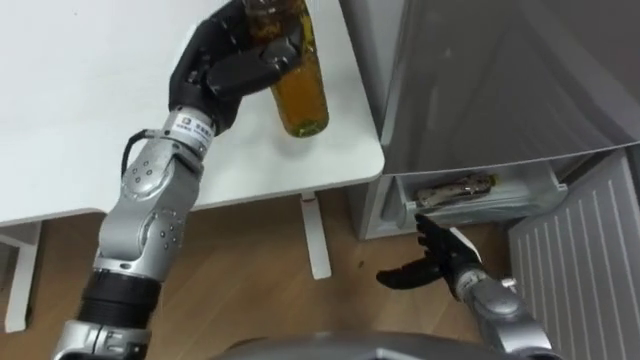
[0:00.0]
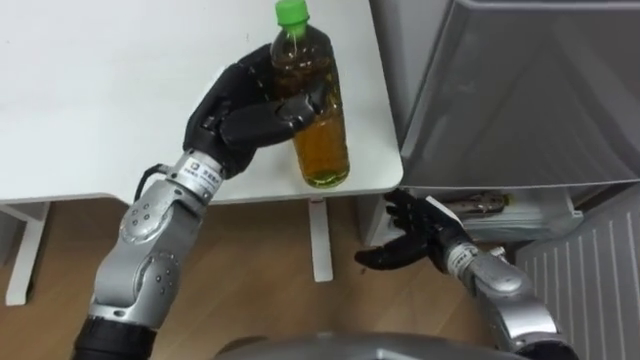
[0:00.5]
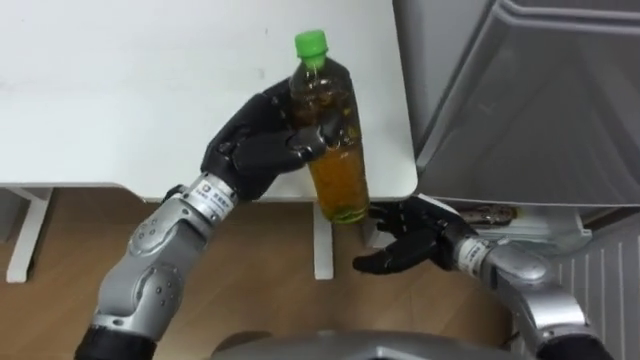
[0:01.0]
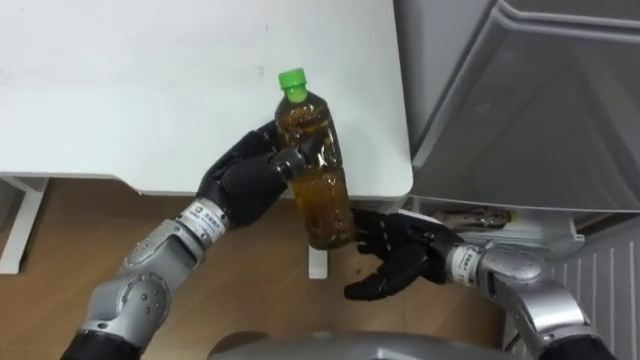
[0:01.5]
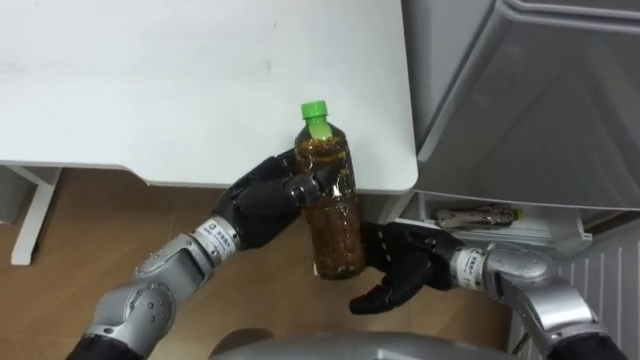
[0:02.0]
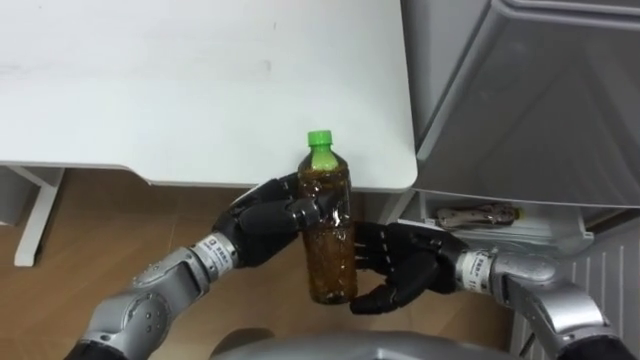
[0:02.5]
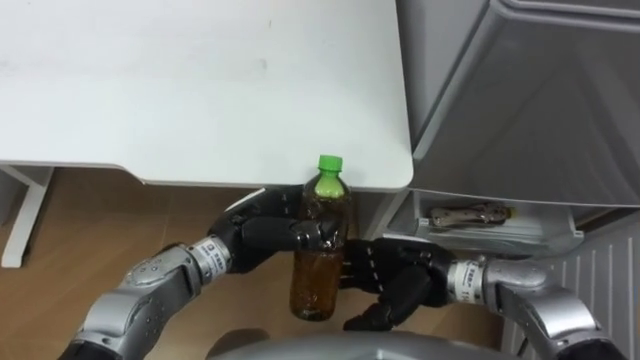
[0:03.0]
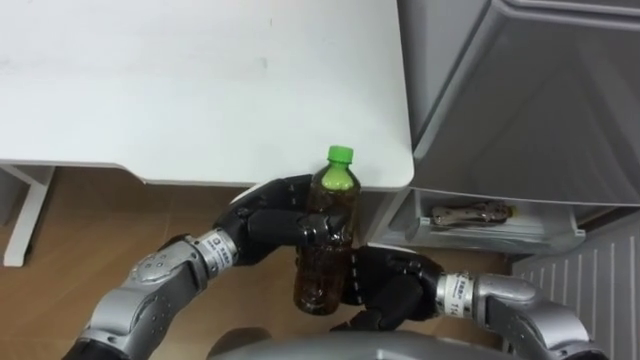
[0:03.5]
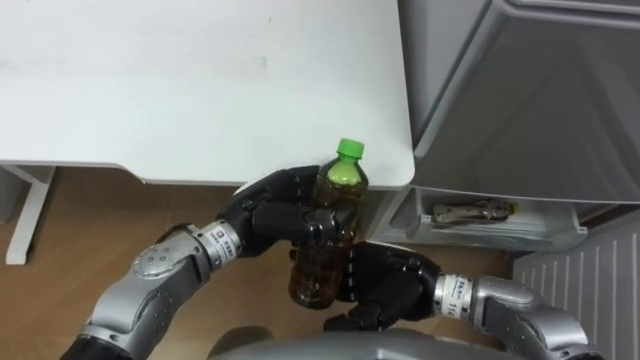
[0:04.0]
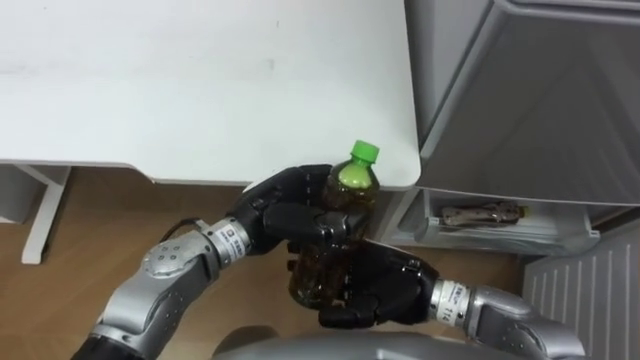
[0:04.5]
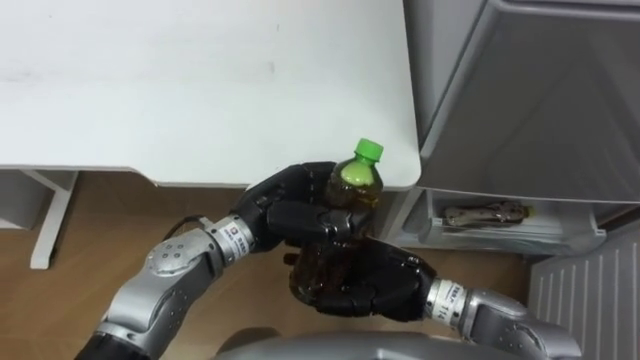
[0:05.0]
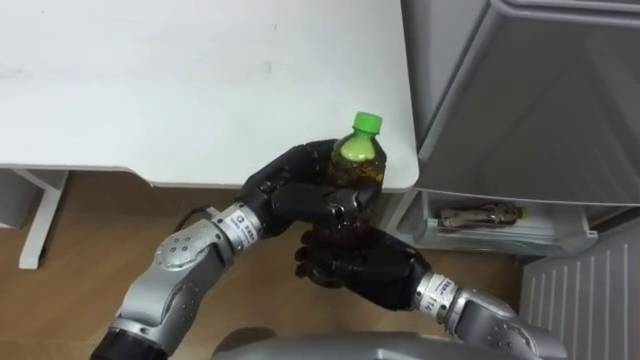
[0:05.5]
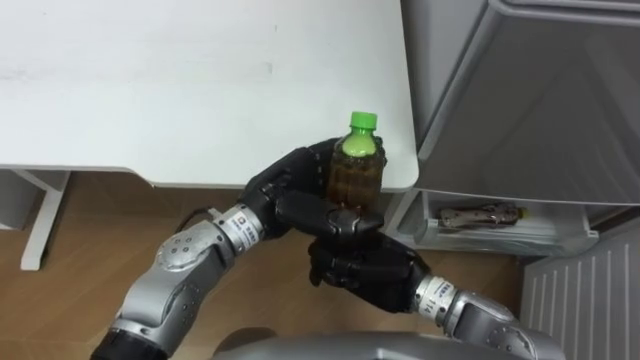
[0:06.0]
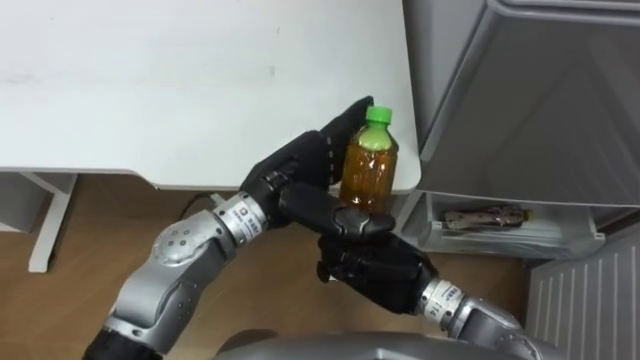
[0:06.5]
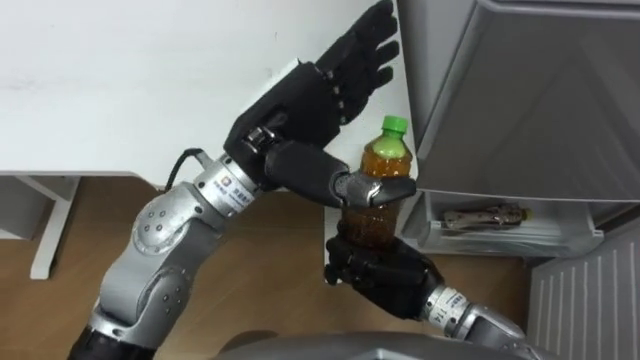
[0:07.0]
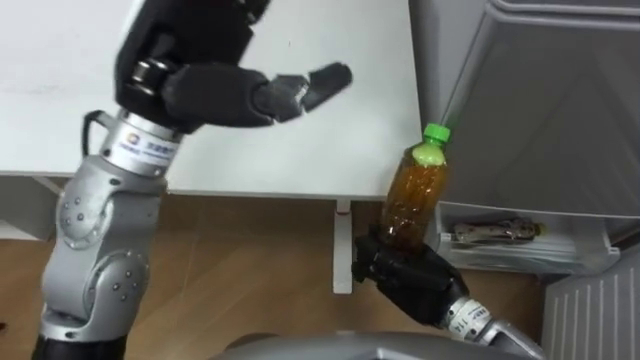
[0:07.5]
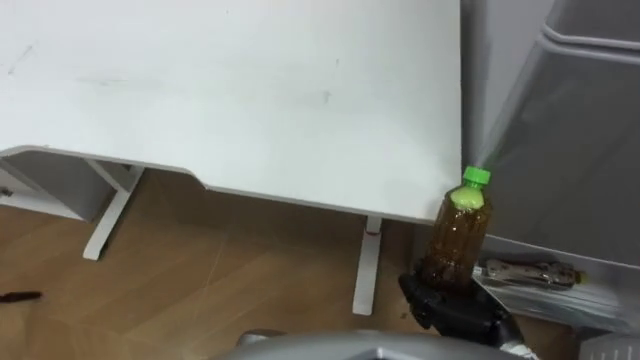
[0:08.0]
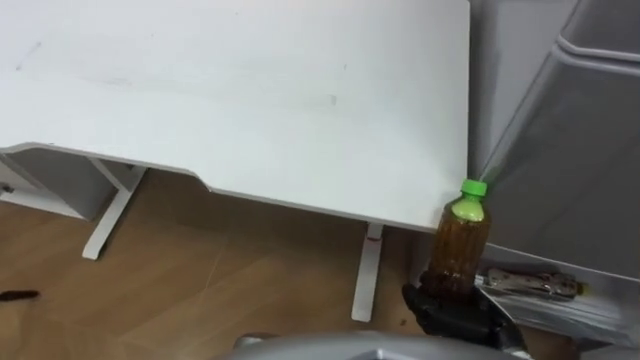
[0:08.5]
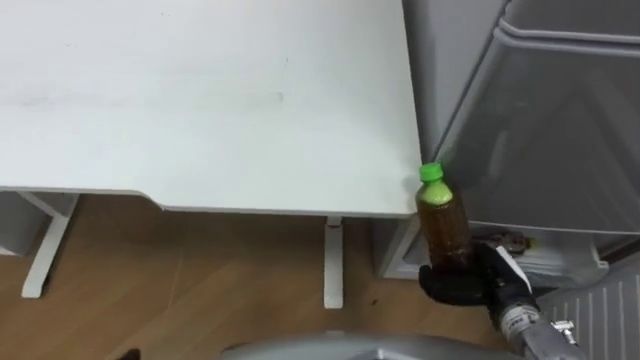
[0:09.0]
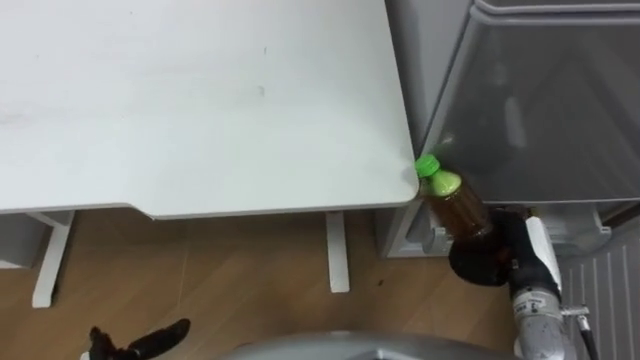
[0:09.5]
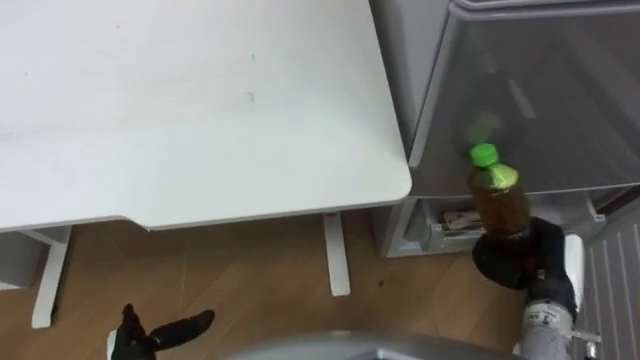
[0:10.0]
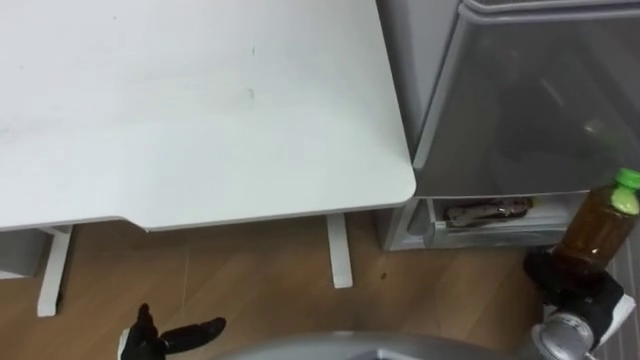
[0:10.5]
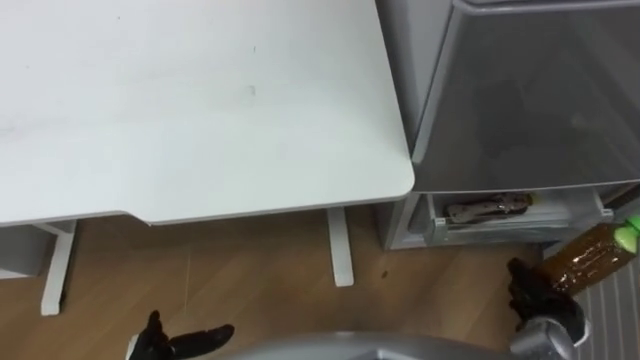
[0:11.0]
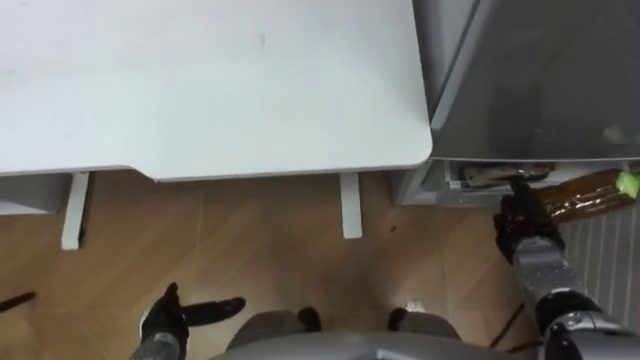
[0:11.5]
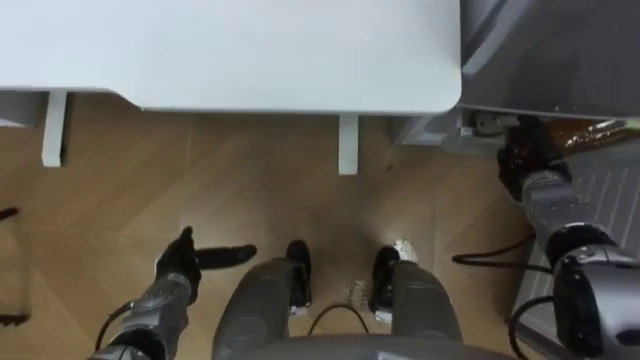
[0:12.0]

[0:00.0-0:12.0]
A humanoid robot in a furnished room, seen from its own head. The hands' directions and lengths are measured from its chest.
Task of the whole recording: Place the drink on the table on the bottom shelf of the refrigerator, then close the drawer and the refrigerator door.
0:00.0 to 0:02.0: The right hand is displaced upward and to the left by roughly 10 cm; the left hand travels downward, backward and to the right by about 15 cm.
0:02.0 to 0:04.0: The right hand ends up roughly 5 cm from where it was.
0:04.0 to 0:06.0: The right hand closes.
0:06.0 to 0:08.0: The right hand moves to the right and backward, roughly 15 cm.
0:08.0 to 0:10.0: The right hand goes approximately 10 cm to the right.
0:10.0 to 0:12.0: The right hand travels forward by roughly 15 cm.

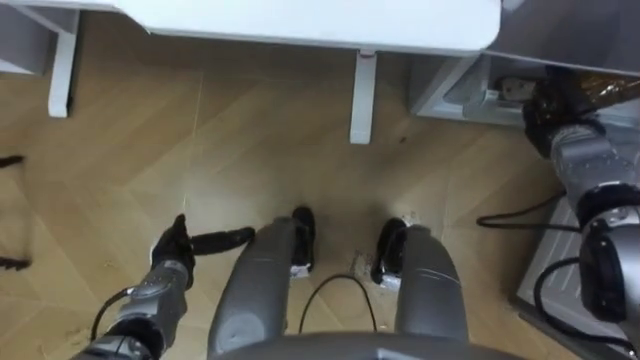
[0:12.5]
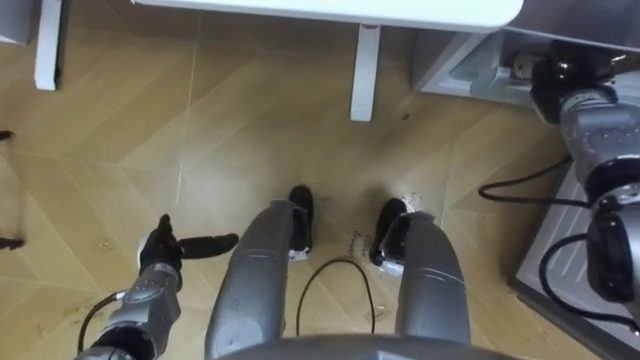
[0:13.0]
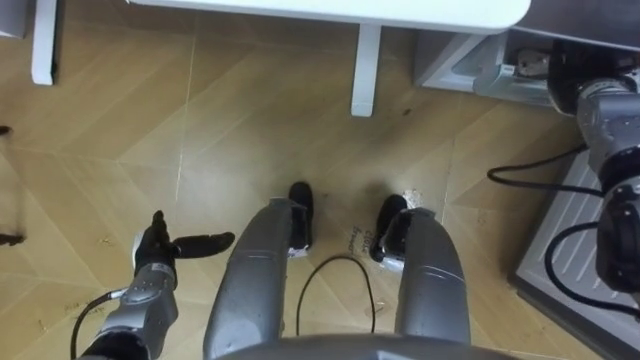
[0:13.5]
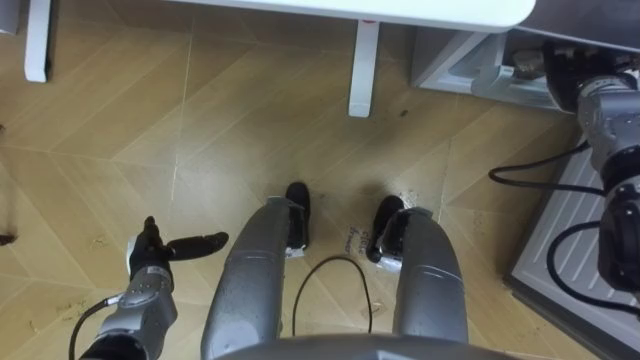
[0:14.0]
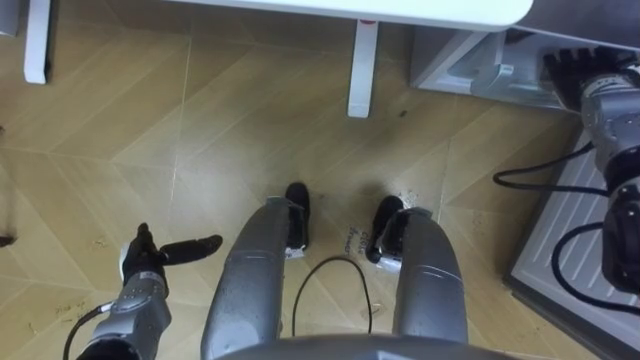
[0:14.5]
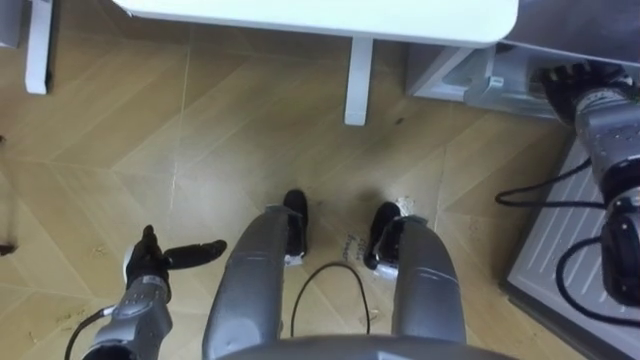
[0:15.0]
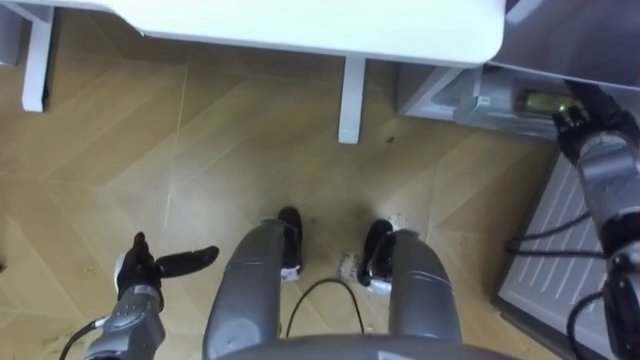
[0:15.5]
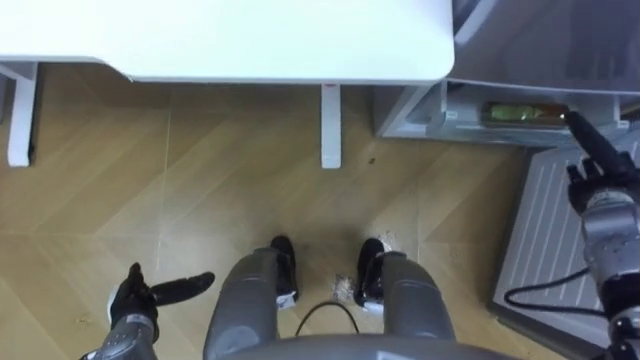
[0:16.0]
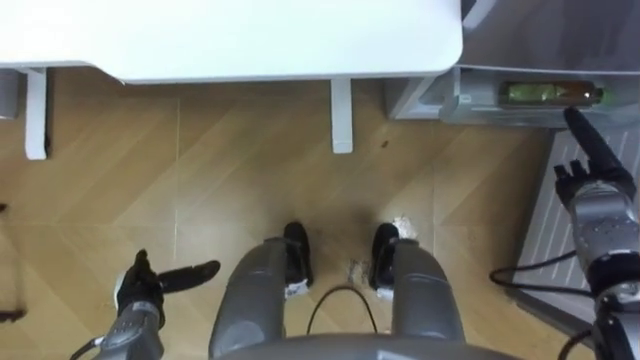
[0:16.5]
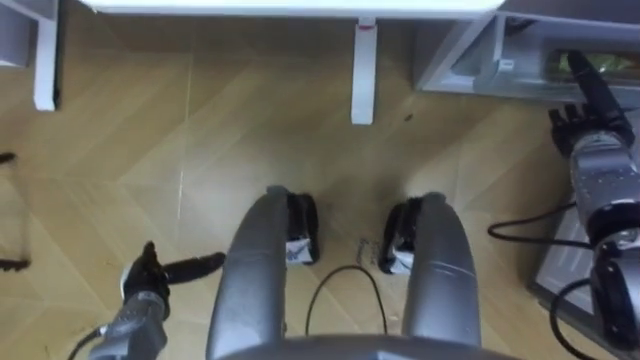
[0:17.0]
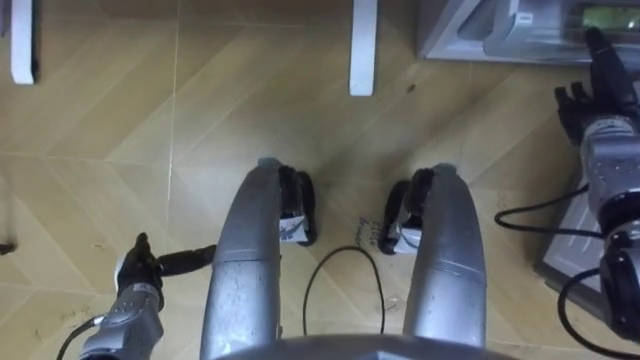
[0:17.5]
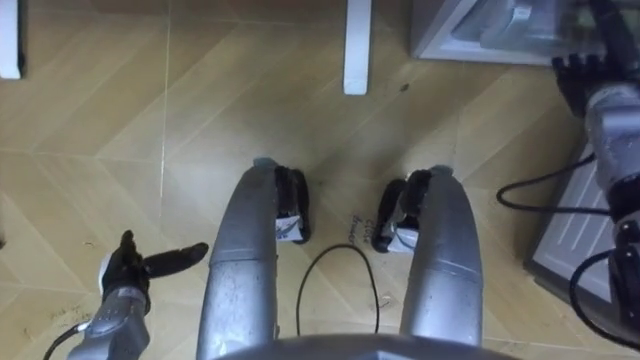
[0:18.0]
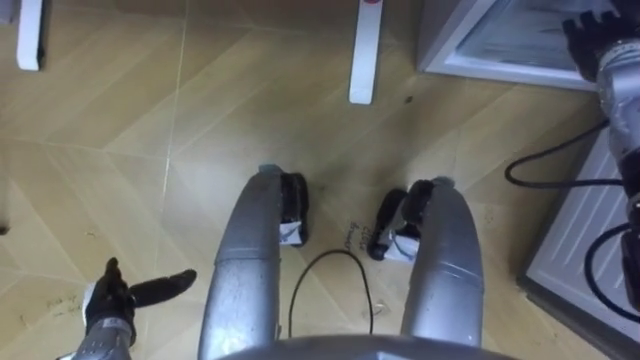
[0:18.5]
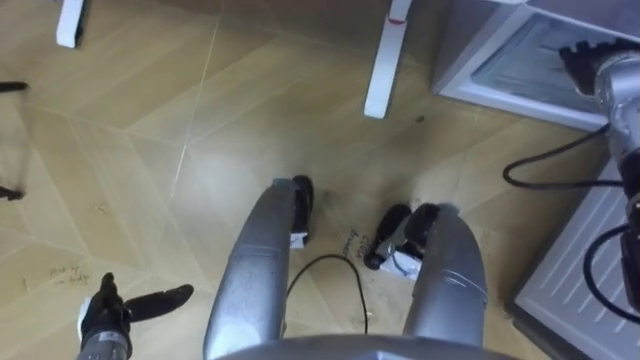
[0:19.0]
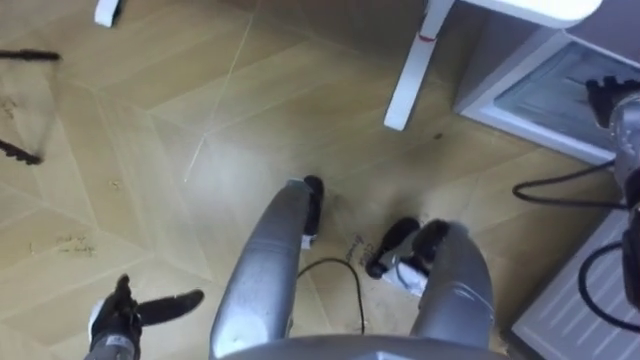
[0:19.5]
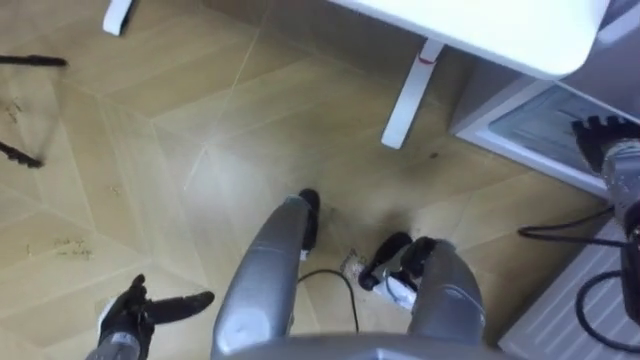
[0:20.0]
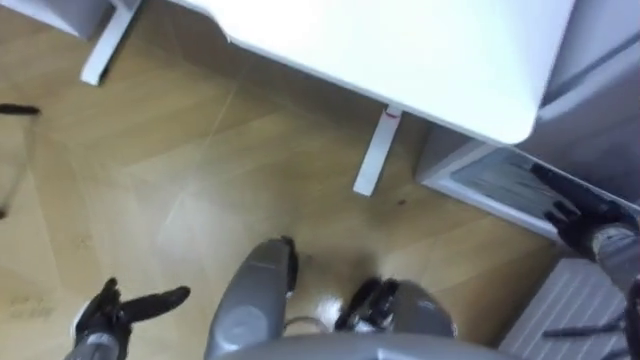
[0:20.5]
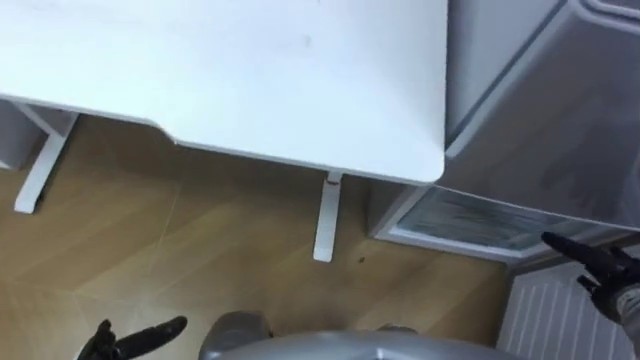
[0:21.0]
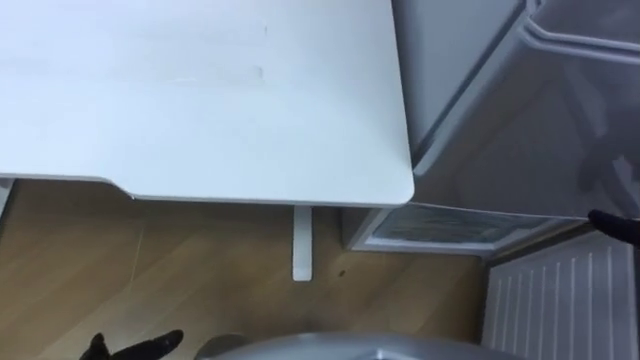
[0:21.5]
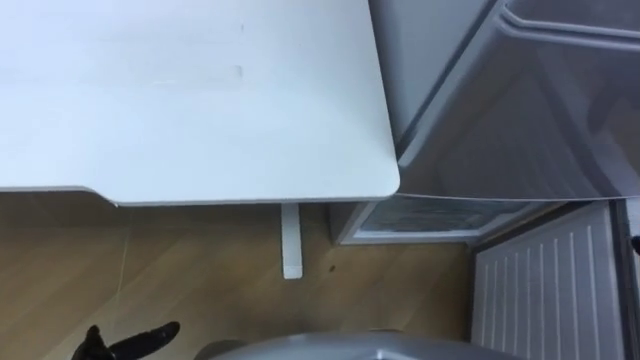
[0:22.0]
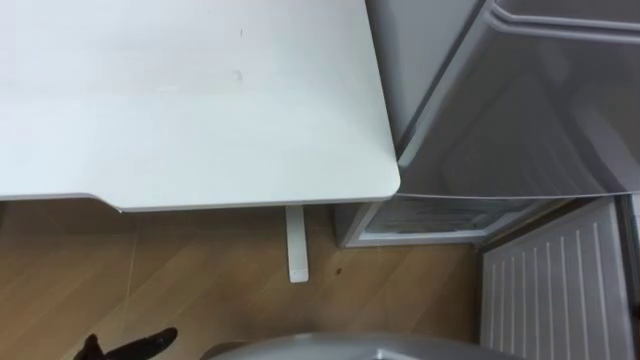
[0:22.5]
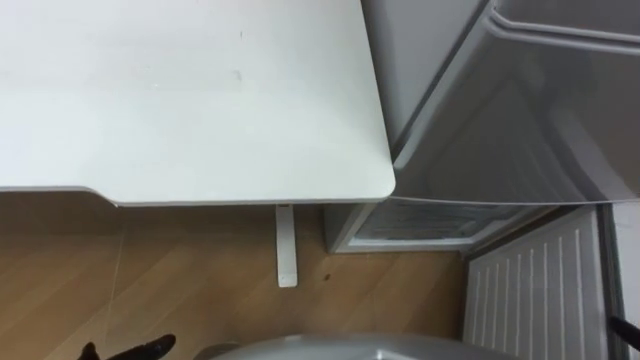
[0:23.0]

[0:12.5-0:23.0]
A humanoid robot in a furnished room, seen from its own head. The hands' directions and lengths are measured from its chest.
Task of the whole recording: Place the drink on the table on the bottom shelf of the refrigerator, then close the drawer and the refrigerator door.
0:12.5 to 0:14.5: The right hand shifts approximately 5 cm upward, and opens.
0:14.5 to 0:16.5: The right hand travels backward and downward by some 15 cm.
0:16.5 to 0:19.0: The right hand is displaced upward and forward by about 15 cm, while the left hand shifts by approximately 5 cm.
0:19.0 to 0:21.0: The right hand shifts approximately 30 cm backward and downward.
